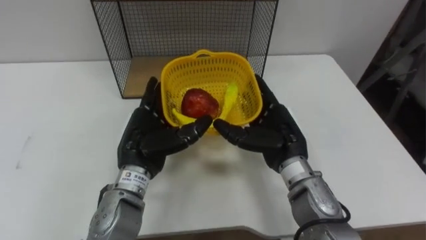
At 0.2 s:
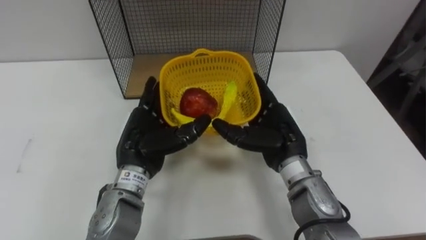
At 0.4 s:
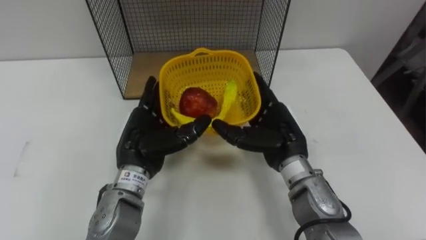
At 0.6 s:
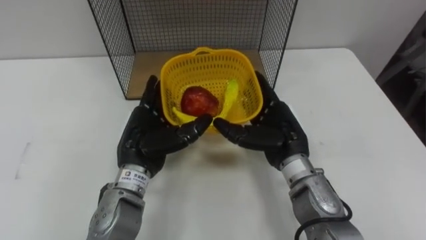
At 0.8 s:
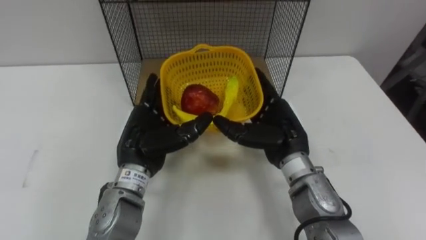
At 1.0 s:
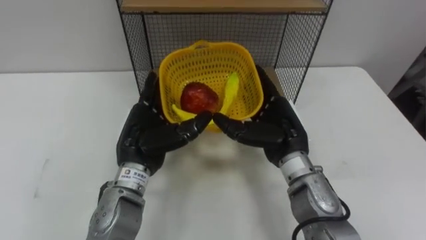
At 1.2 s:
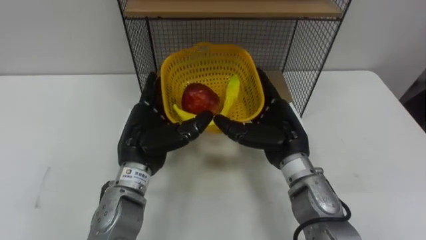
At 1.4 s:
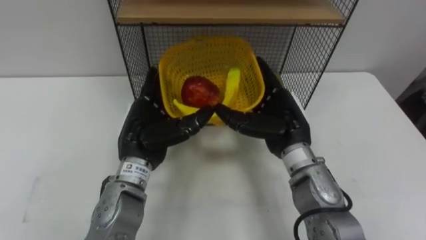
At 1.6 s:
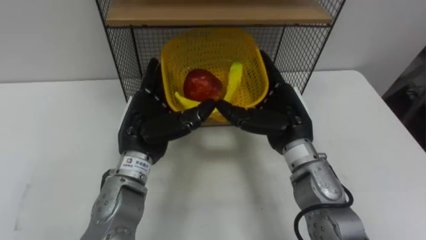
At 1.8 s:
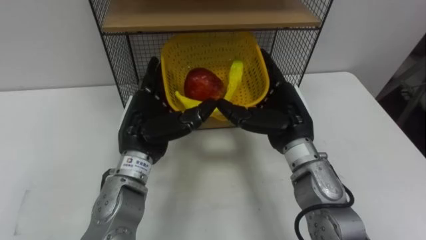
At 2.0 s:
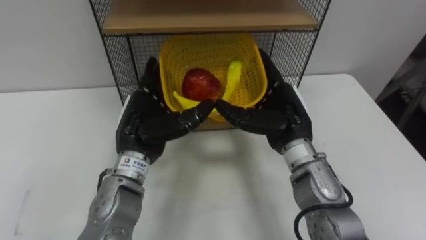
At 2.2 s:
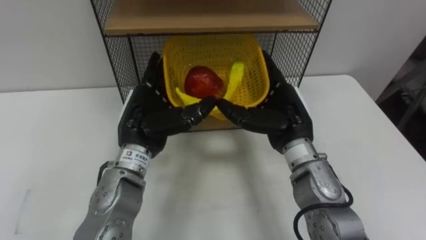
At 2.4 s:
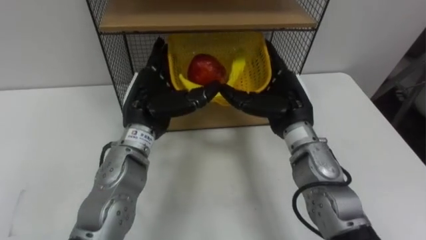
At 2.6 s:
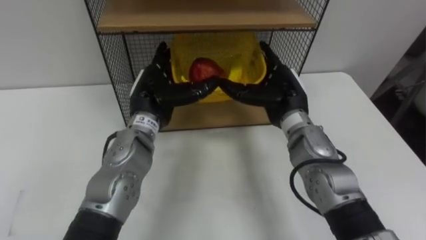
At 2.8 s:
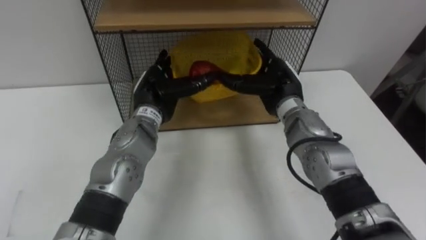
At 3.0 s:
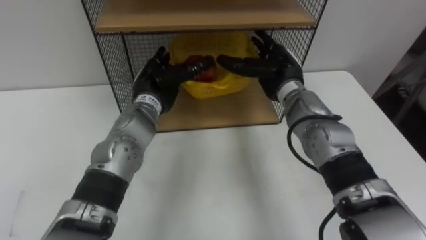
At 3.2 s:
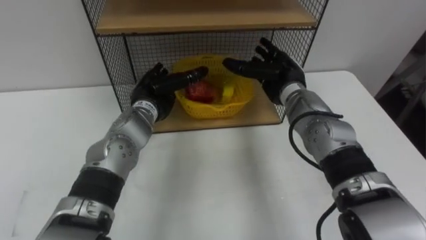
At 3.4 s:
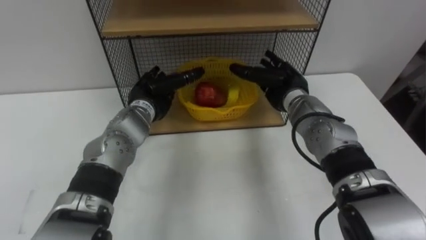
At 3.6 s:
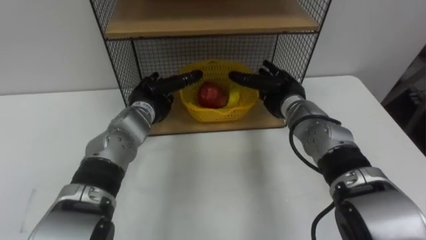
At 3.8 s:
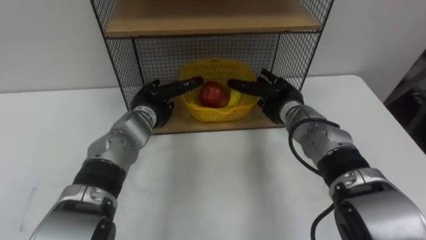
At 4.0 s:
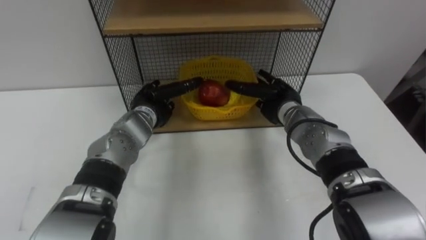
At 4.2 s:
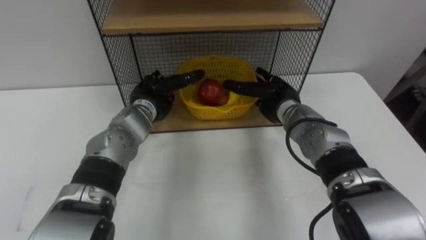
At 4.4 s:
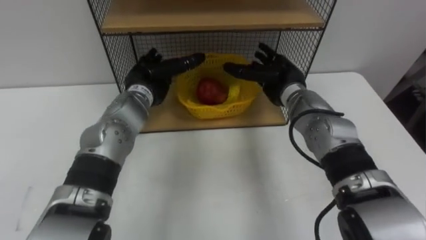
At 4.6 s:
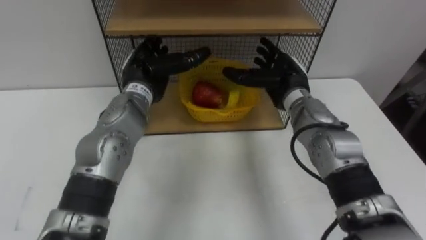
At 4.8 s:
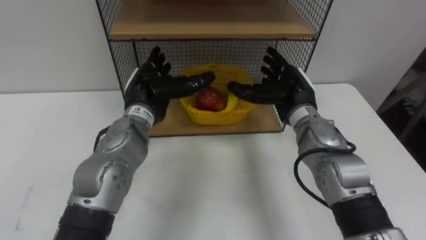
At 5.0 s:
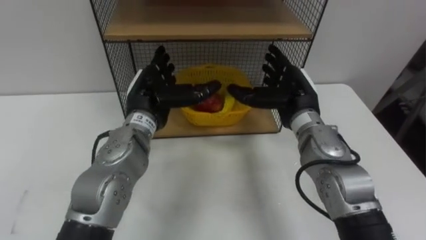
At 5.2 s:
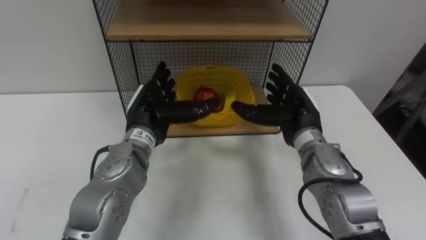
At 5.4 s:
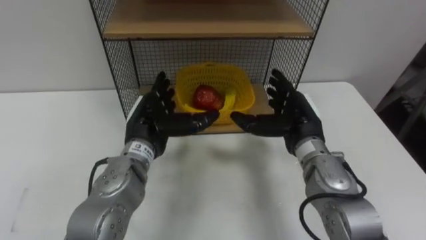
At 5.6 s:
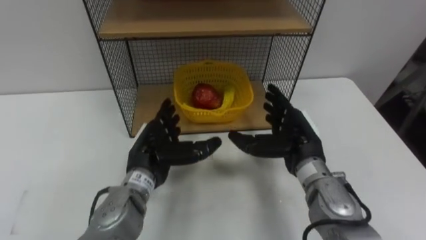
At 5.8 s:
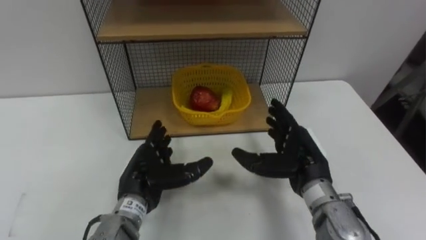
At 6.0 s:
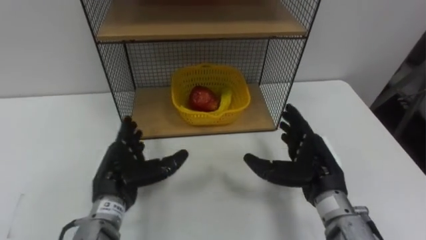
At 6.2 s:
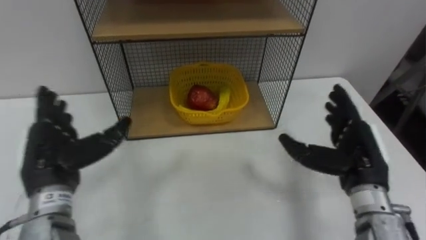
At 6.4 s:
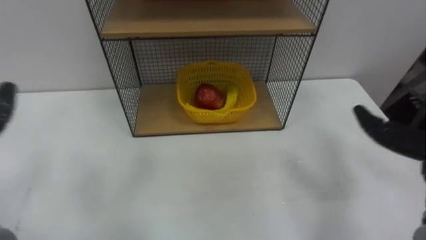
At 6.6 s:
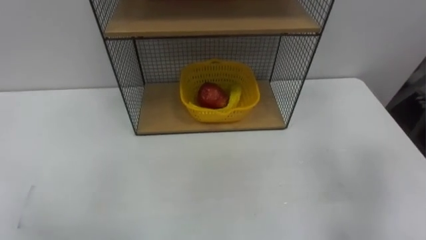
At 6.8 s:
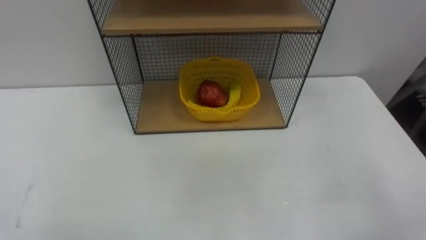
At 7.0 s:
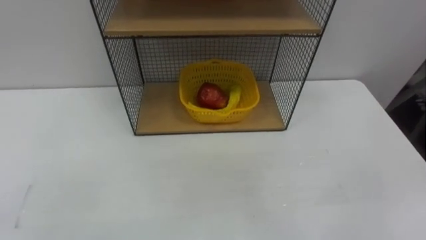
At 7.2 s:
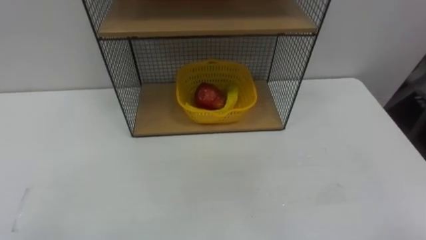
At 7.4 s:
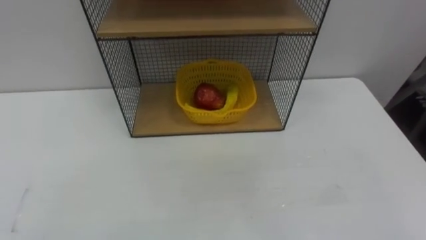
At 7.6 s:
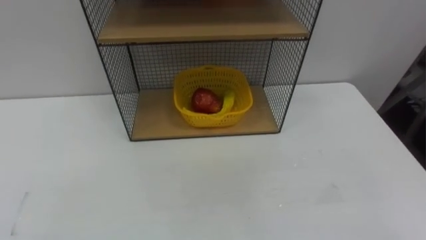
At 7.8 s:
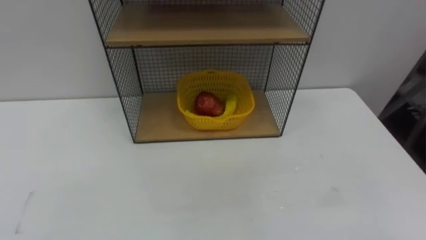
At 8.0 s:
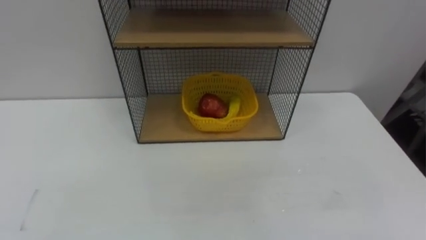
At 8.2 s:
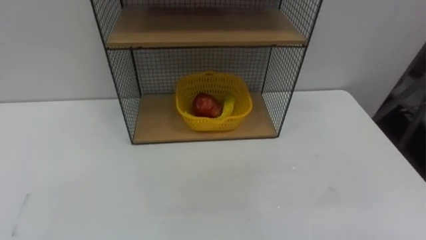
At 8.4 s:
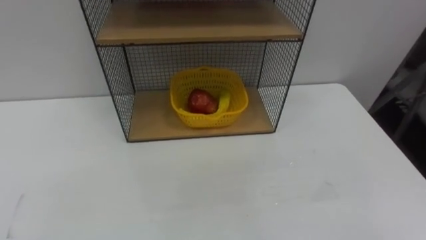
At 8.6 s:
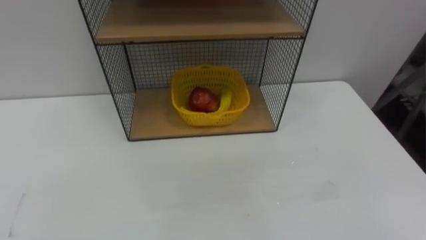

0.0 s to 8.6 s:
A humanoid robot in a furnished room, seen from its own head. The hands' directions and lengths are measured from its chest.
Task of the whole recording: Put the fruit on the table into the basket, then place the basket on the shelf.
1.4 to 2.8 s: Both hands travel together forward, approximately 10 cm.
4.4 to 5.8 s: Both hands move backward, about 15 cm.

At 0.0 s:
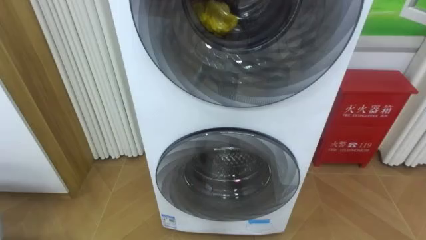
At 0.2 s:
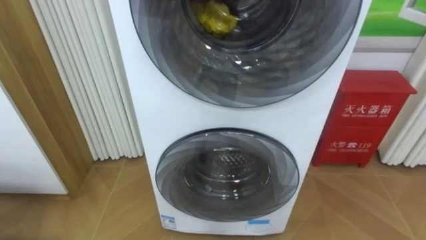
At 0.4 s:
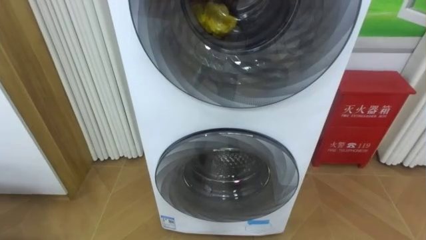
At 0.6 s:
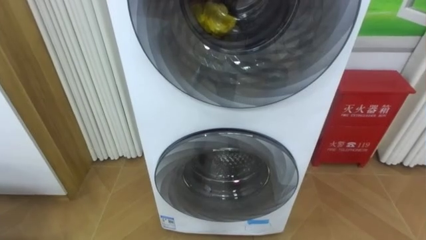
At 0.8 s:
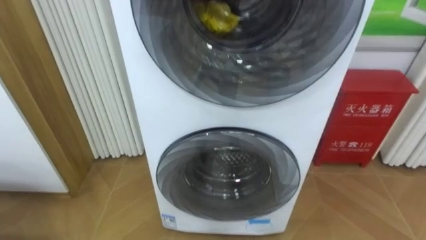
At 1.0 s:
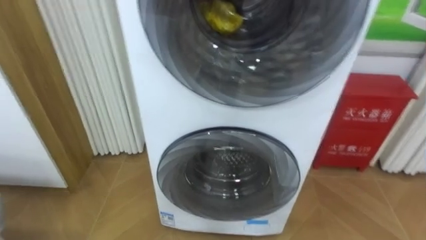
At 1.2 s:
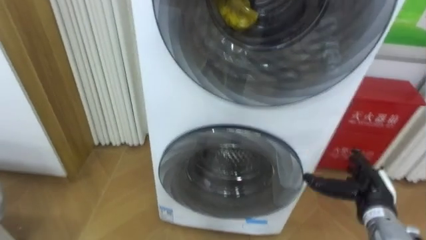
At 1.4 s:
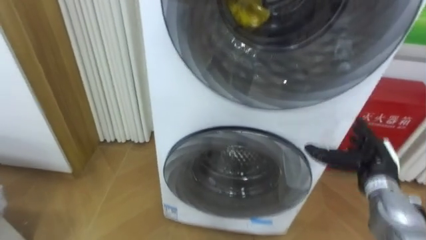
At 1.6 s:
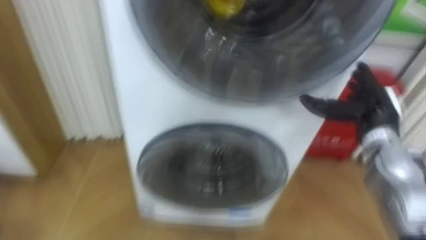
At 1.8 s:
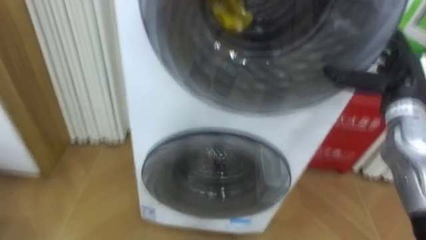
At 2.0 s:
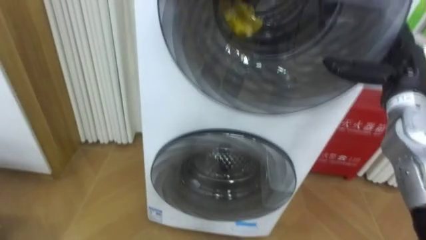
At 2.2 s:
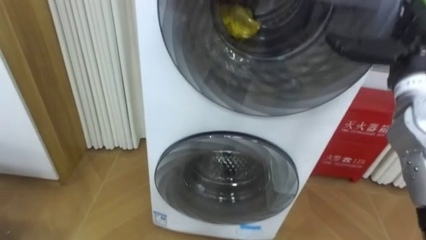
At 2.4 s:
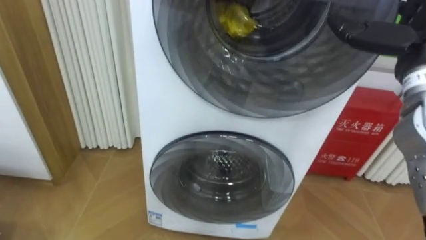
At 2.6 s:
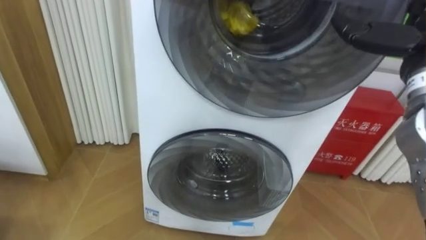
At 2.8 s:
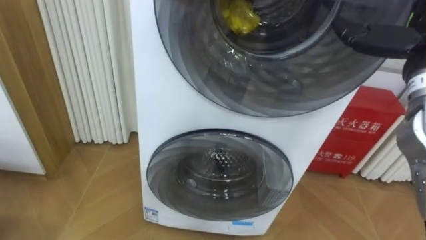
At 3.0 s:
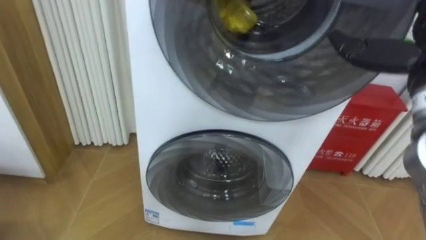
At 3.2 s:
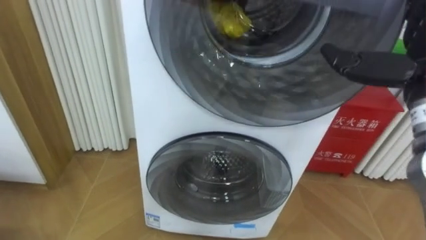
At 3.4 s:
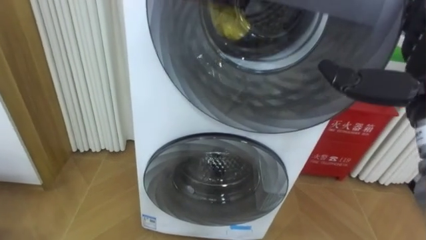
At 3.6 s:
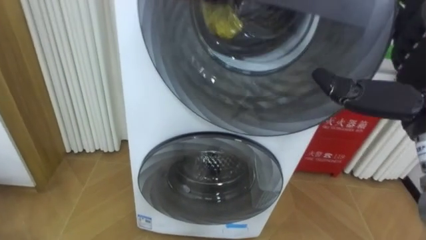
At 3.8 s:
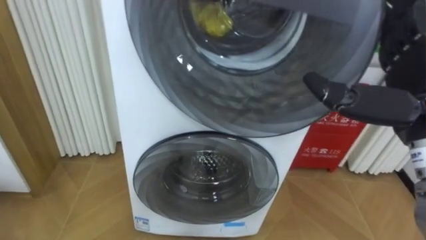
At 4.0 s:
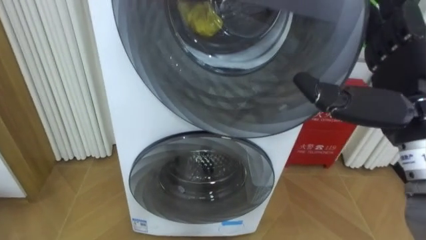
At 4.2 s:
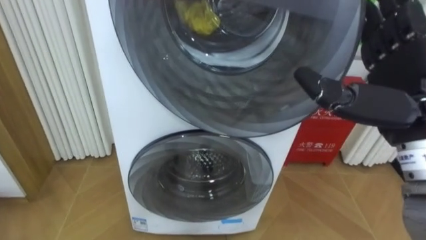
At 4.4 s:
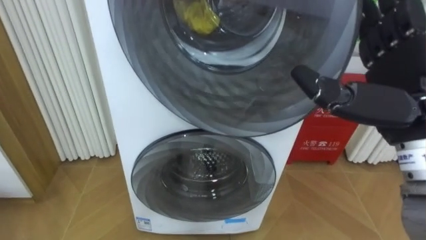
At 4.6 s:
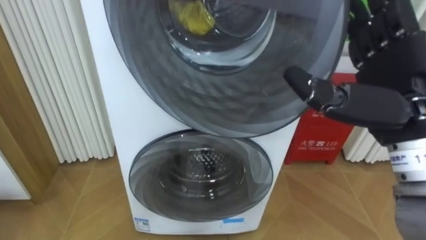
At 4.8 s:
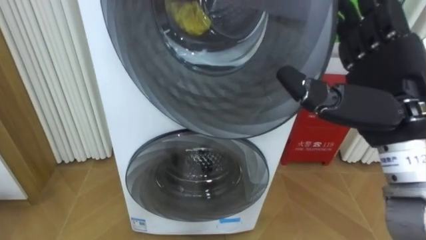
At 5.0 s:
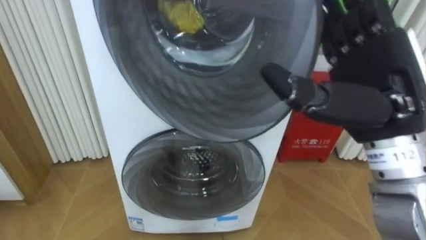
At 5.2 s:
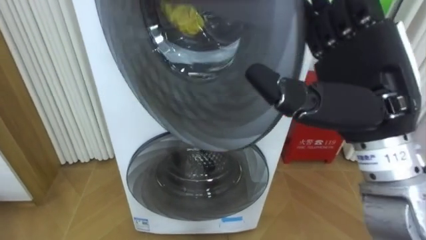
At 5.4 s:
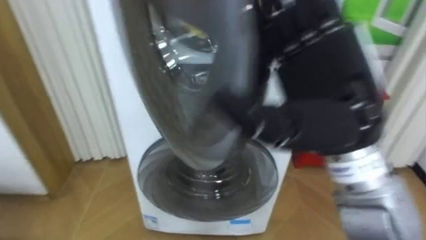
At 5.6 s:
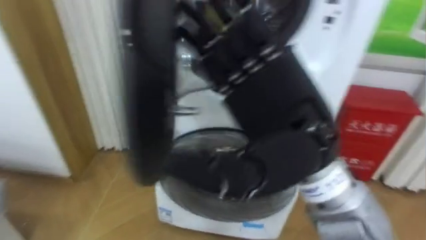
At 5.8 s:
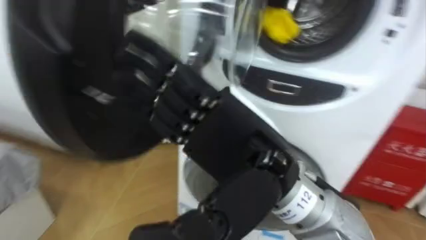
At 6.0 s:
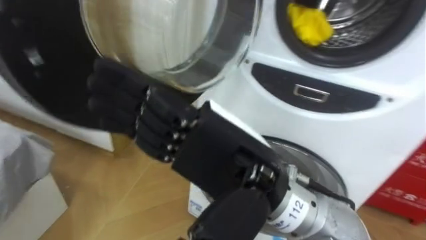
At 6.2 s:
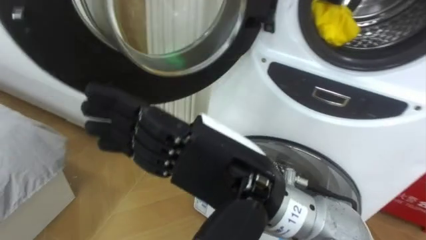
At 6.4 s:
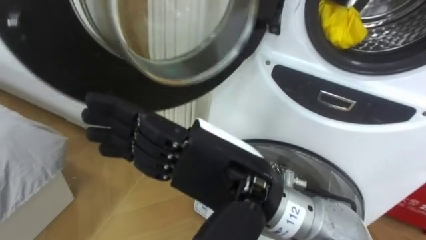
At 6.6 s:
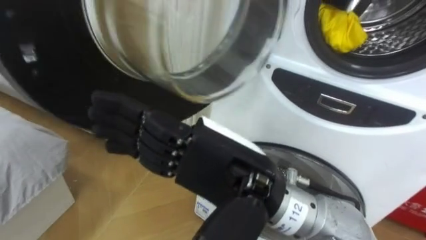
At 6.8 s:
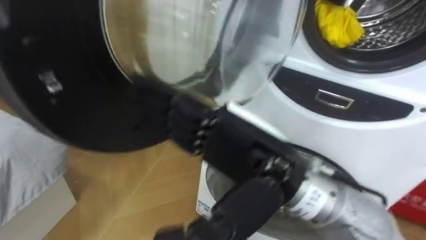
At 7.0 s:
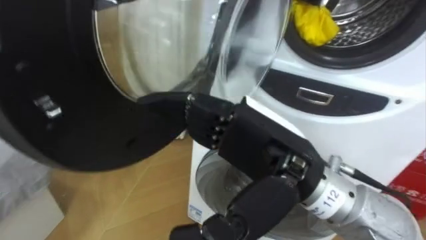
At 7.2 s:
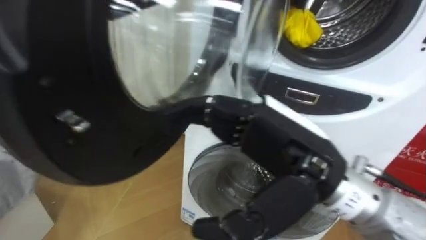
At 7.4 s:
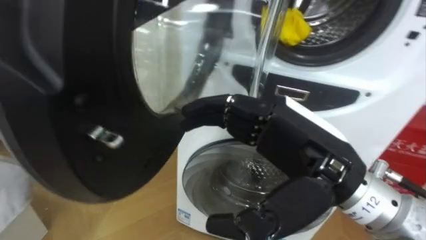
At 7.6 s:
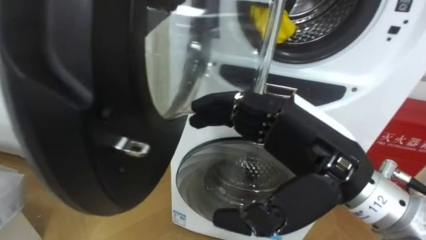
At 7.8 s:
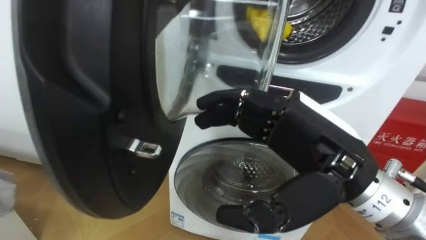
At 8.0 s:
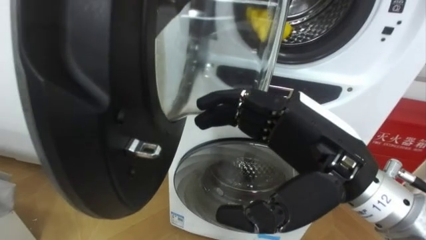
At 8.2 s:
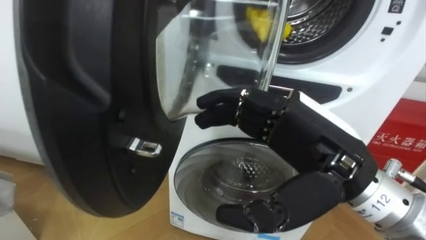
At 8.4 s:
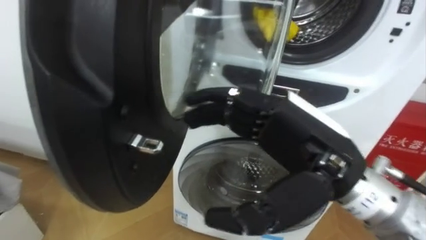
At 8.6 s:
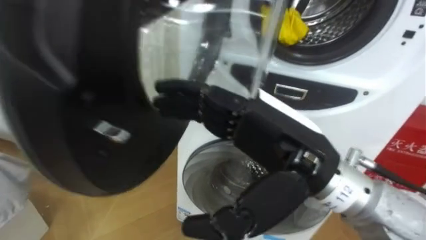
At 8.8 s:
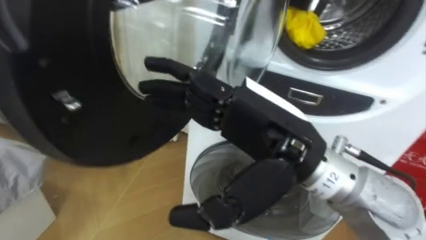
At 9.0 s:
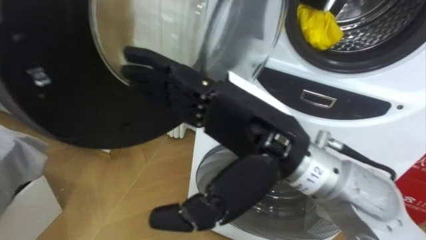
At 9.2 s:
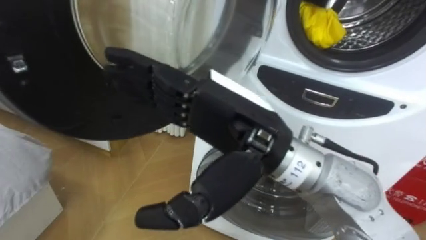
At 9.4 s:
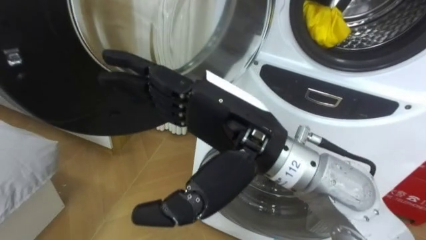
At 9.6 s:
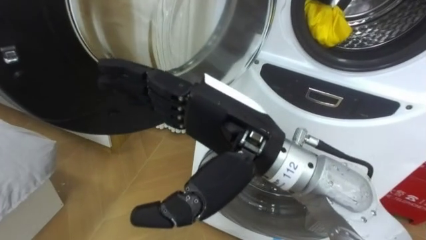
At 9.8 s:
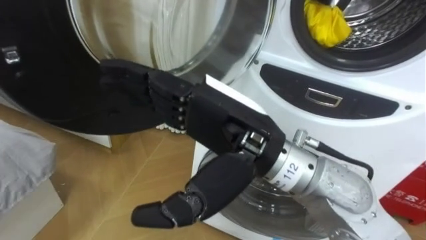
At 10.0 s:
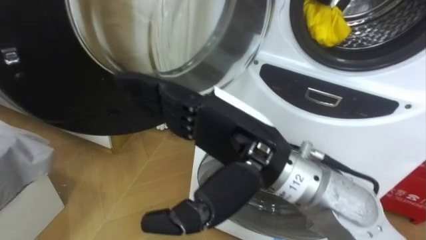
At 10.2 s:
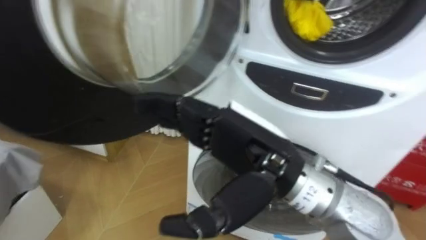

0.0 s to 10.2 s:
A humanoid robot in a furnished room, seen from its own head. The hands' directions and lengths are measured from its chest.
Task of the whole recording: Open the washing machine door, take out the yellow clothes, place them in the box on the right, and close the washing machine door.
1.4 to 3.0 s: The right hand travels upward by approximately 25 cm.
3.0 to 4.4 s: The right hand travels backward and to the left by approximately 10 cm.
4.4 to 5.8 s: The right hand heads to the left, covering some 20 cm.
5.8 to 7.2 s: The right hand heads to the right, covering roughly 5 cm.
